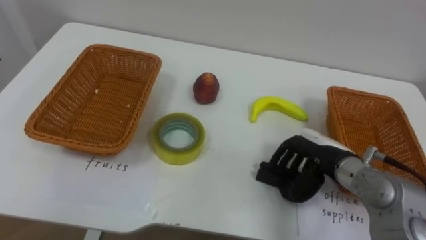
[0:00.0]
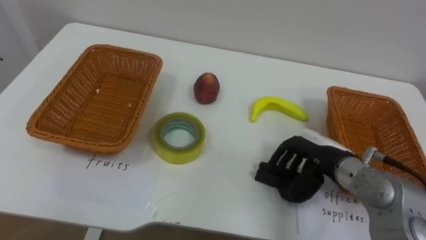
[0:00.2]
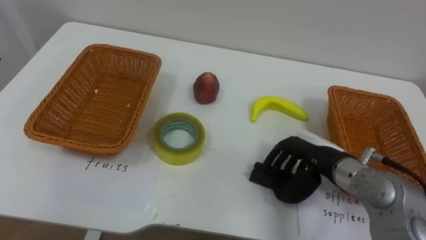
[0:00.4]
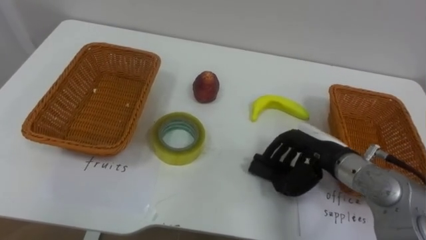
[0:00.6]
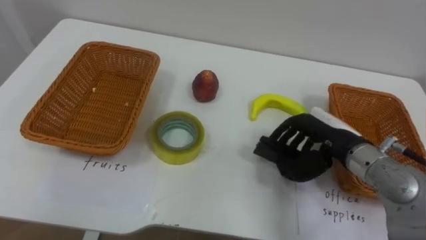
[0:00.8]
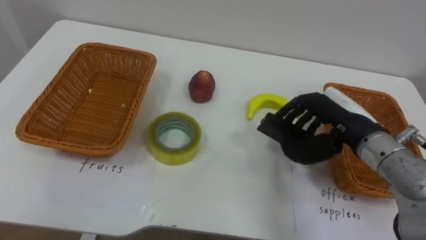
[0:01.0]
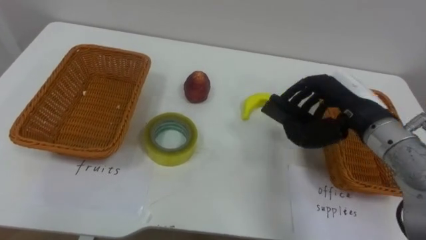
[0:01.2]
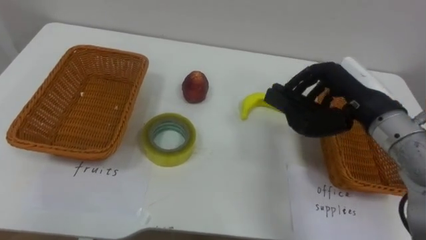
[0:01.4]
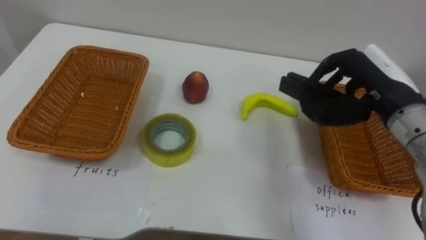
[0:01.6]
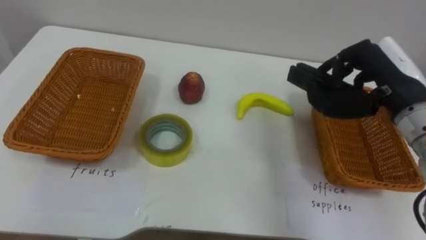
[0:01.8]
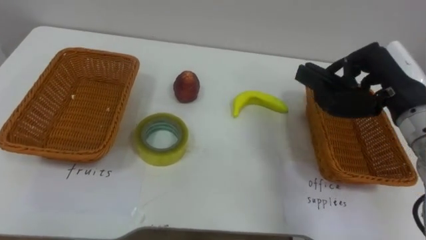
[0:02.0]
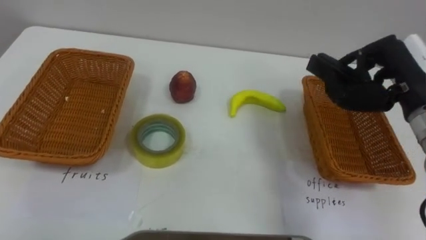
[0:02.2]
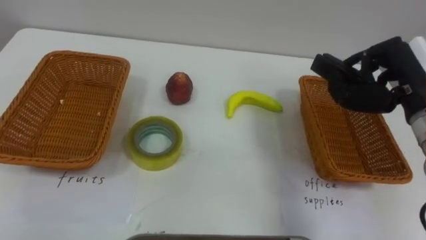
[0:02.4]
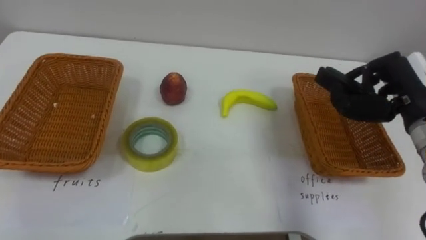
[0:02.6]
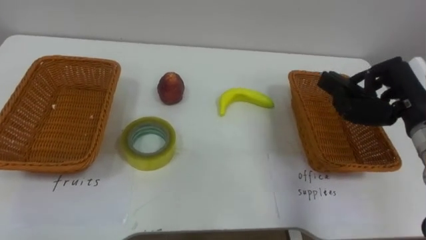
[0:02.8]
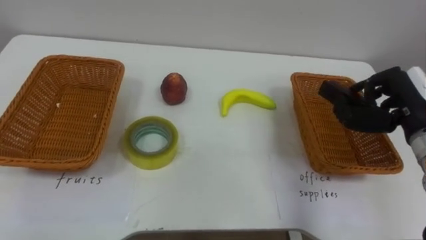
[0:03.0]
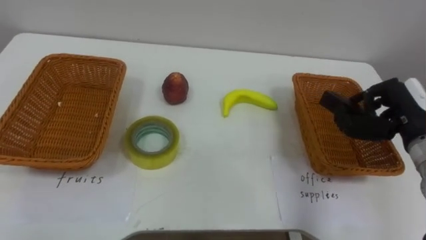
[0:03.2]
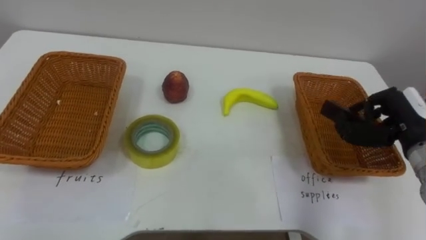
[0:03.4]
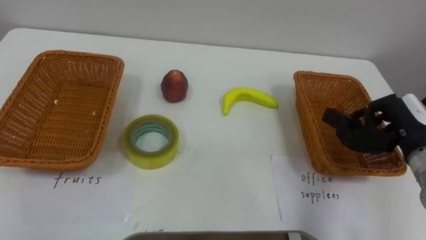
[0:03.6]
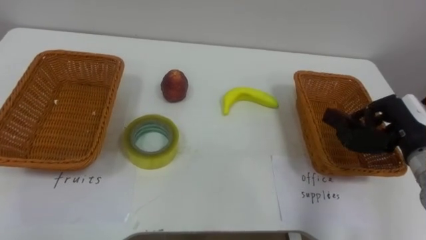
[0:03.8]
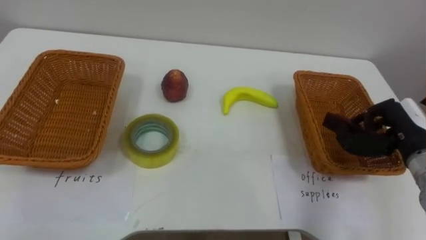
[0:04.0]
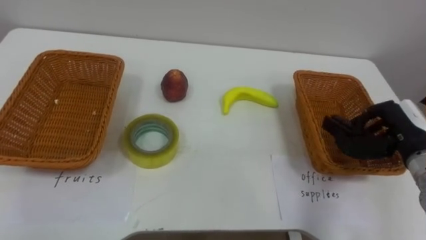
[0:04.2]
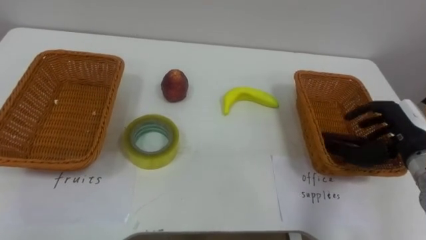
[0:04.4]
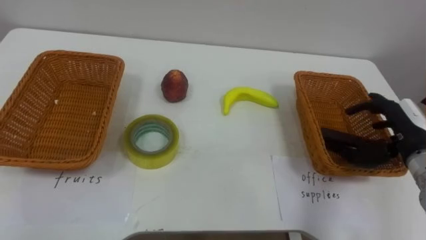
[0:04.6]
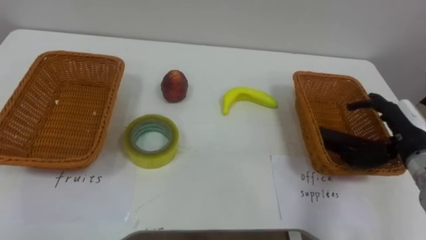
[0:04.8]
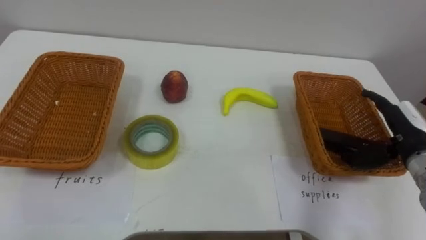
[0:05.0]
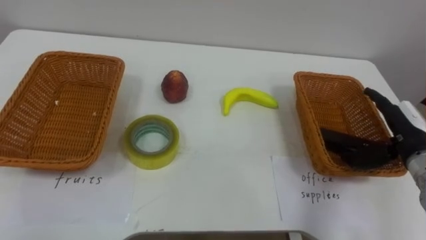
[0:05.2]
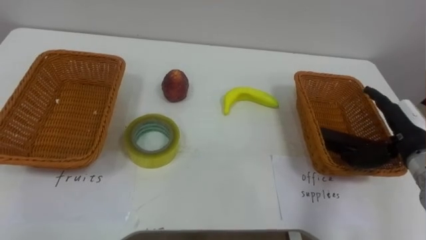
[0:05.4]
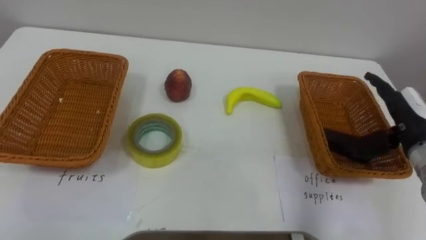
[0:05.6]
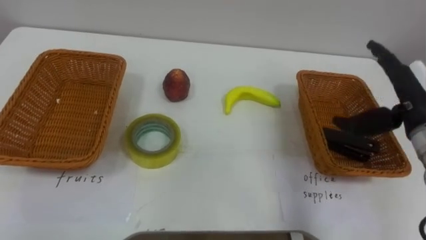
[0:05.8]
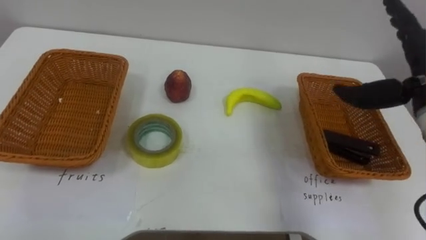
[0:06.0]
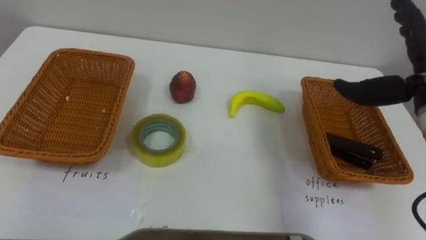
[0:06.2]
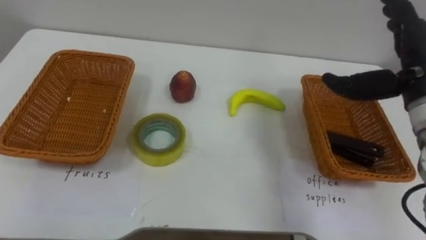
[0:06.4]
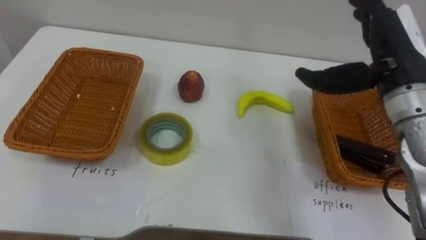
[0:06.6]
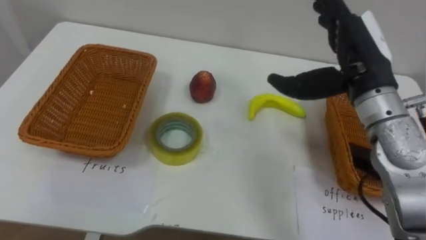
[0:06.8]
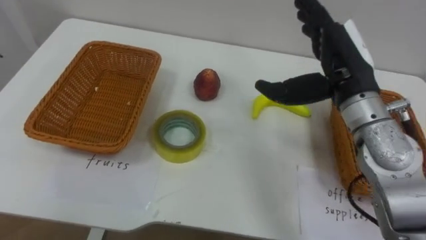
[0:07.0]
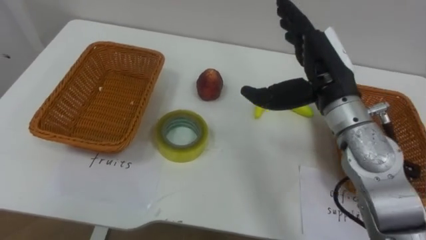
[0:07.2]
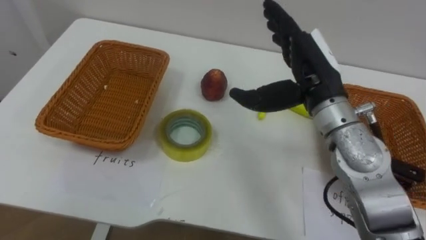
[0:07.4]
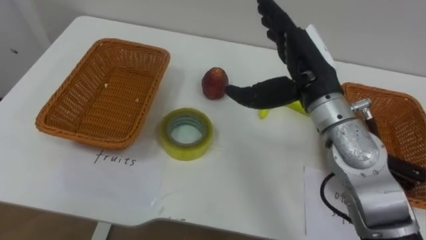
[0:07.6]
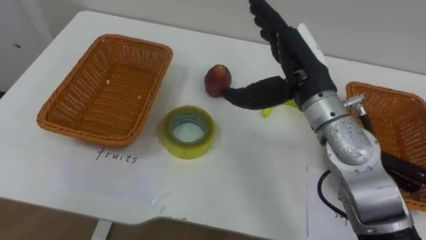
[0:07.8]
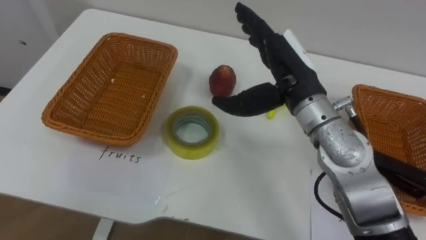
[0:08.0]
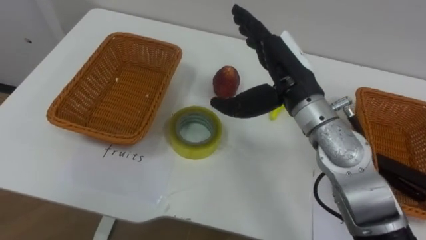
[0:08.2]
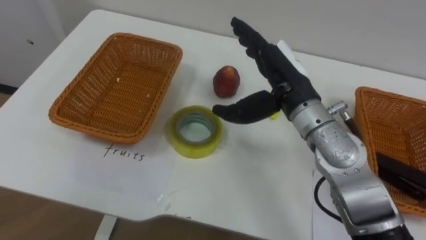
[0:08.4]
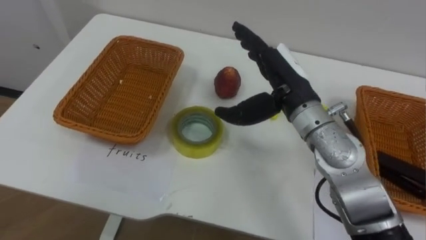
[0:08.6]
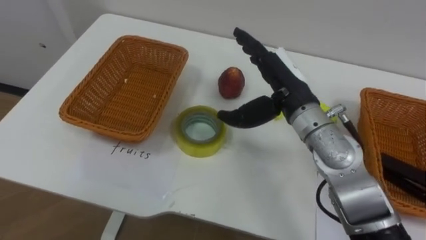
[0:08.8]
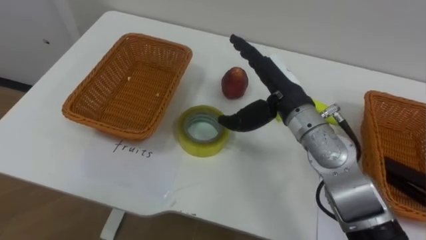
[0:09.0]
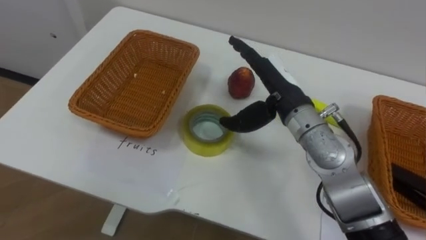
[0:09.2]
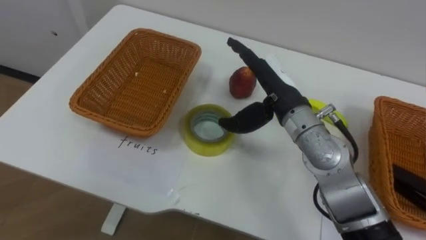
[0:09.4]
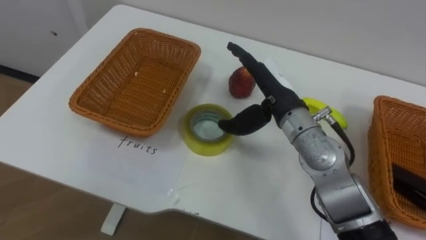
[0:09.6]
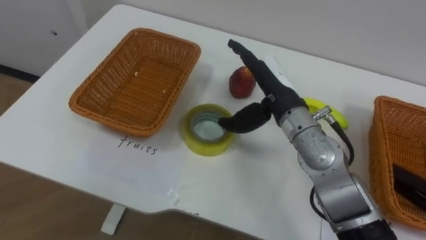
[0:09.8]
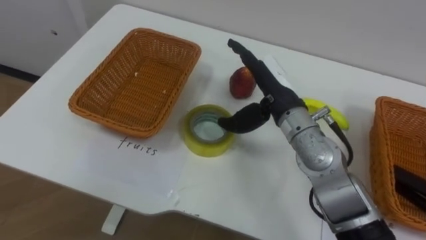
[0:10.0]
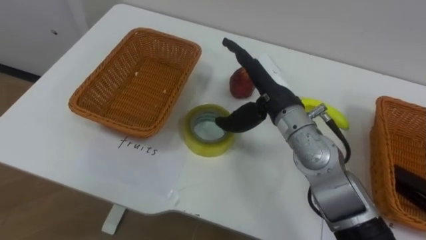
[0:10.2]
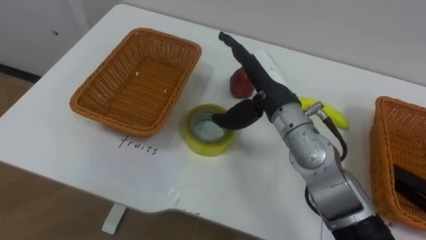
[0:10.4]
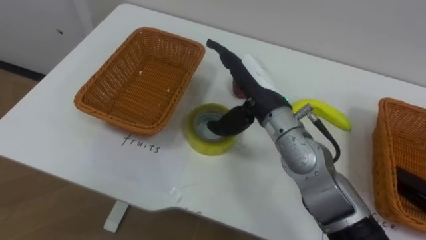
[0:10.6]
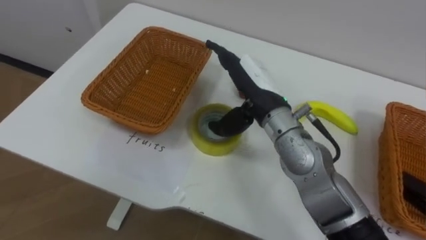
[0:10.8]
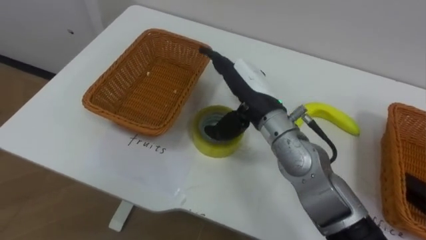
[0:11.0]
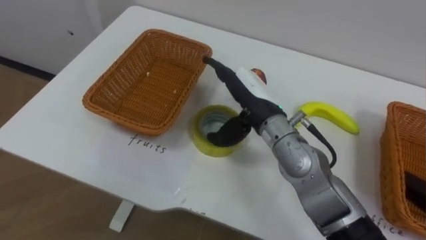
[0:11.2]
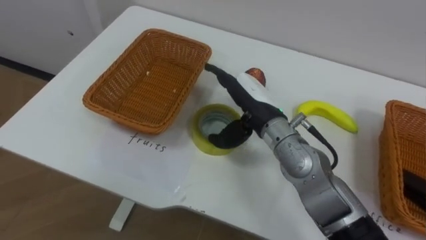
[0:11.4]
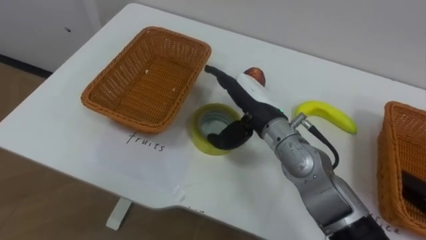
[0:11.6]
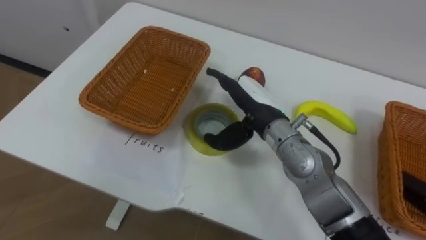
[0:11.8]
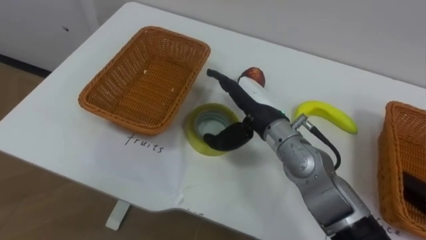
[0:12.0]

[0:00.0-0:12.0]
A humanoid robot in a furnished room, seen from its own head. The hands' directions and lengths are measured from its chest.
Task of the whole recording: Separate the items on the table and place them into the two baskets.
0:00.0 to 0:01.6: The right hand heads upward, covering approximately 15 cm.
0:01.6 to 0:03.0: The right hand goes some 5 cm to the right.
0:03.0 to 0:04.4: The right hand travels downward by about 5 cm.
0:04.4 to 0:06.0: The right hand heads upward, covering about 10 cm, and opens its fingers.
0:06.0 to 0:07.6: The right hand goes approximately 15 cm to the left.
0:07.6 to 0:09.0: The right hand moves some 5 cm.

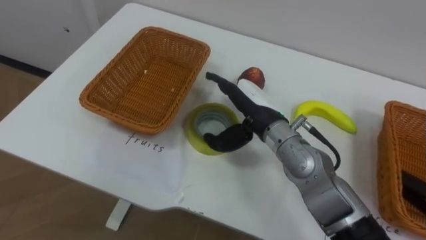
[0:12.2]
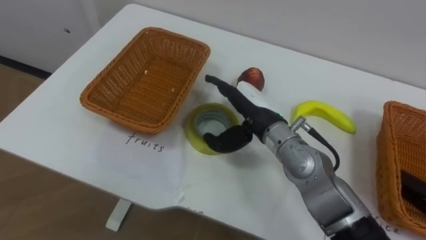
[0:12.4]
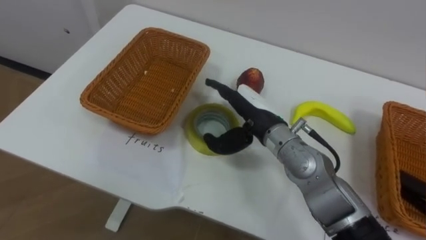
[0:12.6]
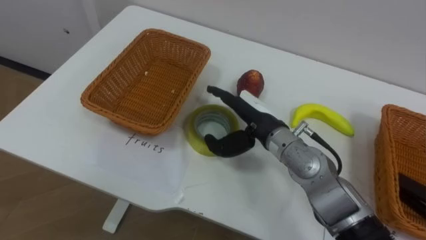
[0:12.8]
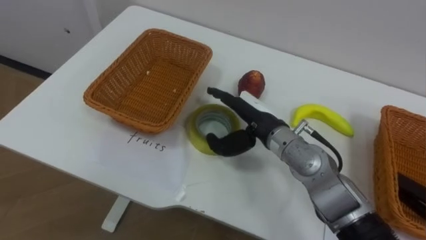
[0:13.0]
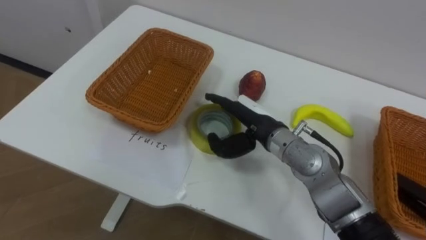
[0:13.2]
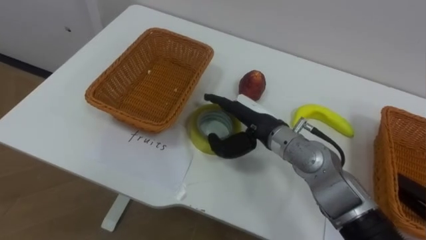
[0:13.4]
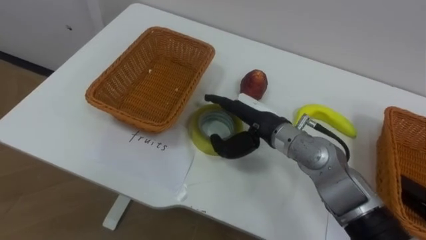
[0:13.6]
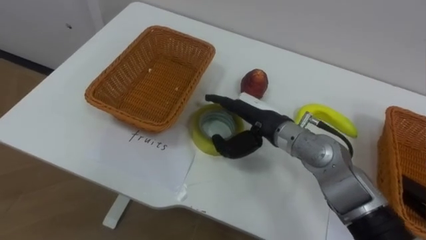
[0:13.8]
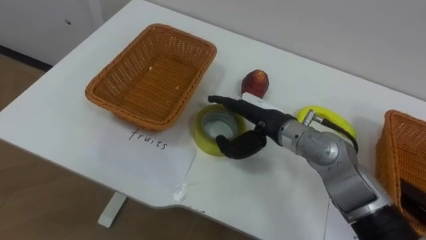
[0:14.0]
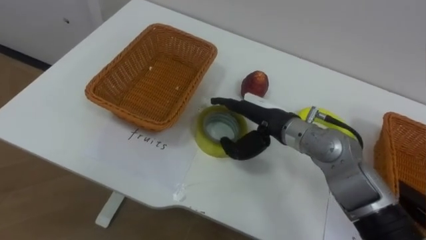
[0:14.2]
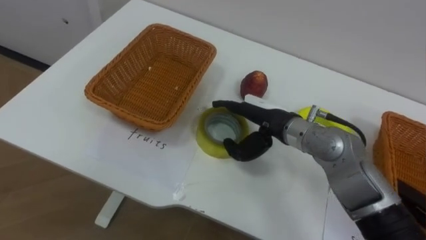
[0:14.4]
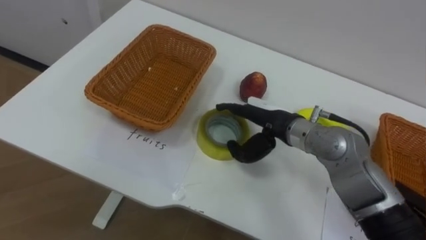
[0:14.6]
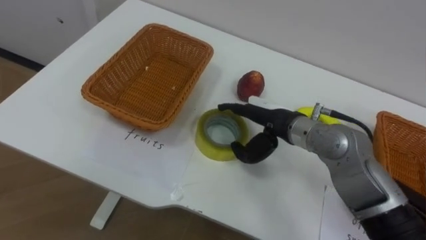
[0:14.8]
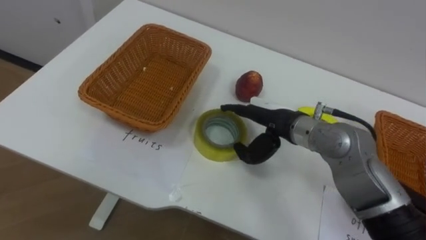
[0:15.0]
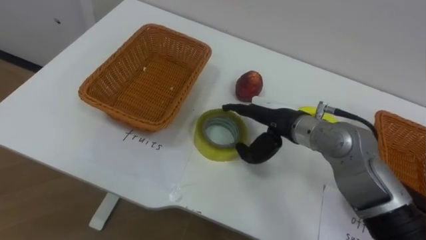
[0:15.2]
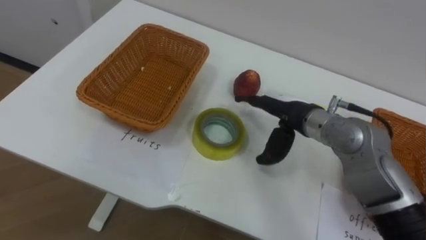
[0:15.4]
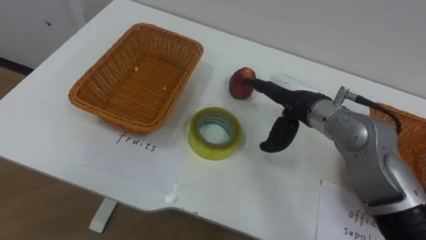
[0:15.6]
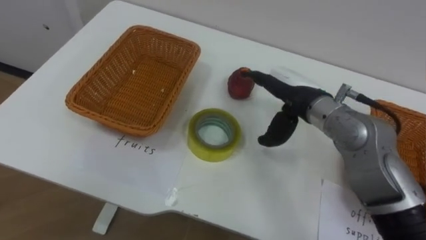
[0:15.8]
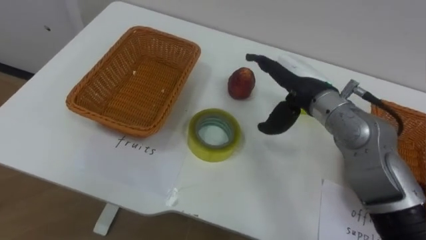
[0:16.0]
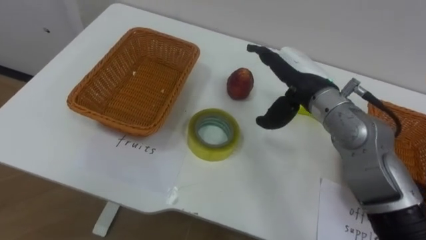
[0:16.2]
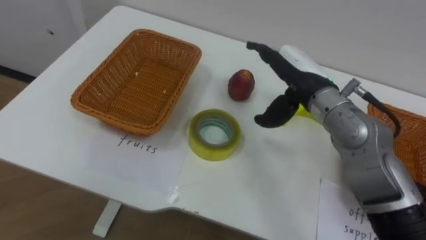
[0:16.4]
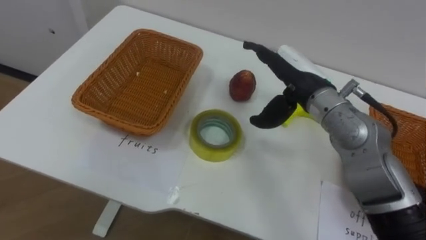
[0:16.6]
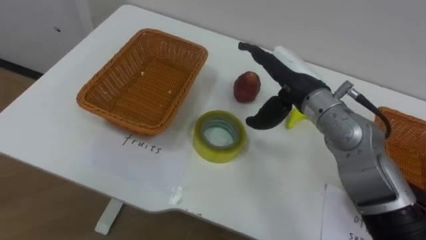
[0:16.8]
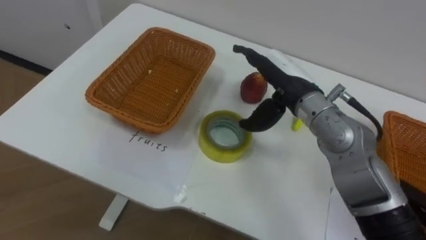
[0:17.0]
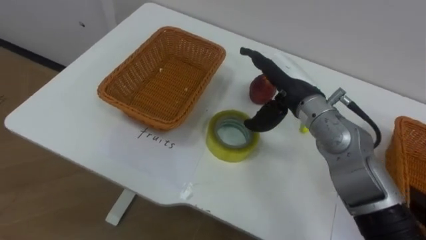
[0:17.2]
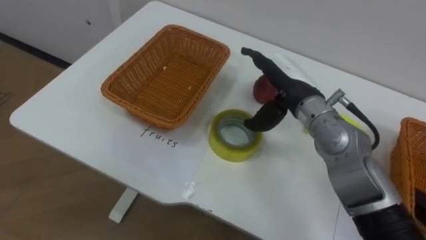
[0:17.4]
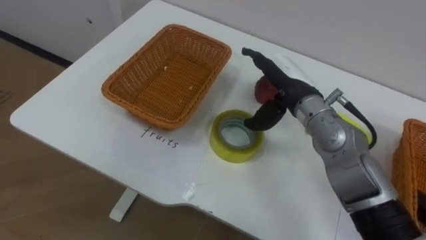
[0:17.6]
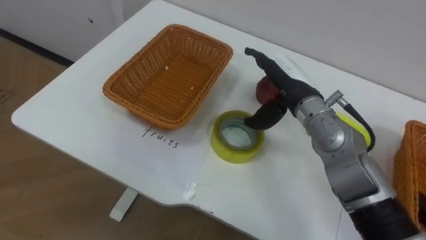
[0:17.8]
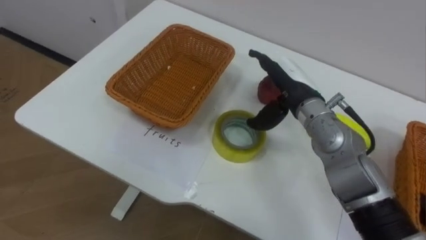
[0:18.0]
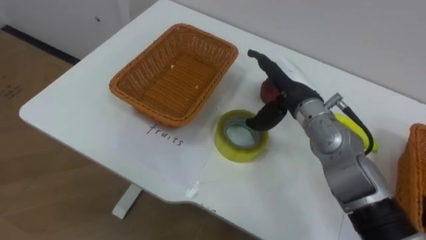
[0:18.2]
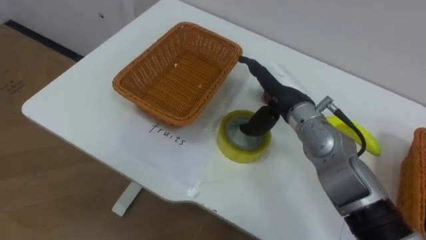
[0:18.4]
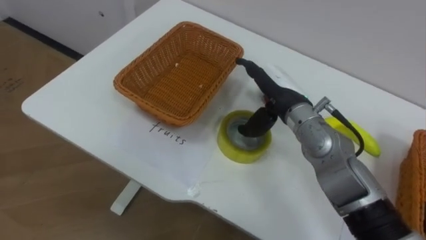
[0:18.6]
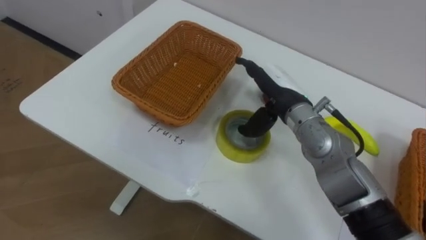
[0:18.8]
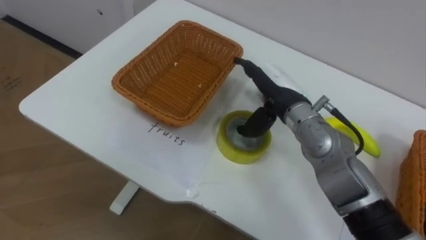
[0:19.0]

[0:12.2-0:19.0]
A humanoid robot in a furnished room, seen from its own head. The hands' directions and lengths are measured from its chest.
Task of the whole recording: Separate the items on the table and place them into the two baskets.
0:15.0 to 0:16.2: The right hand heads upward, covering some 5 cm.
